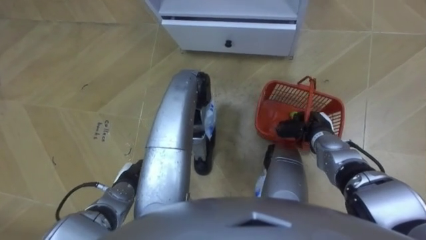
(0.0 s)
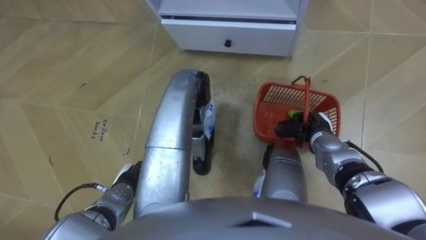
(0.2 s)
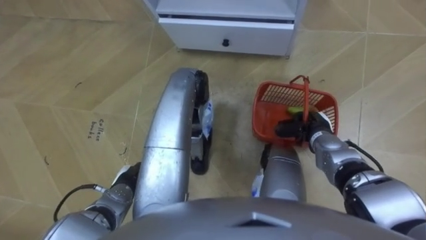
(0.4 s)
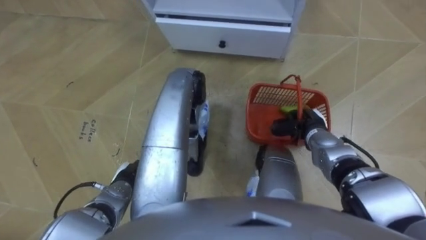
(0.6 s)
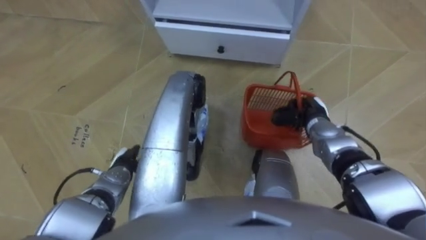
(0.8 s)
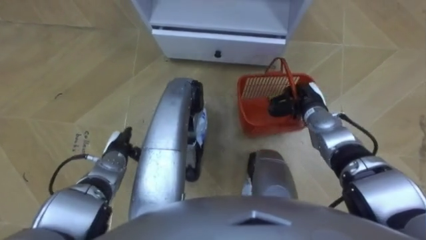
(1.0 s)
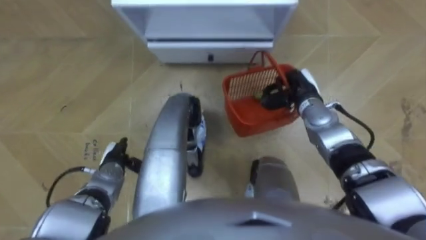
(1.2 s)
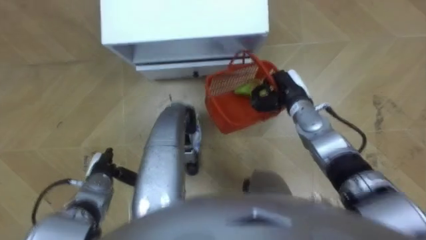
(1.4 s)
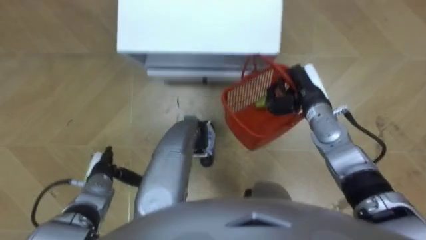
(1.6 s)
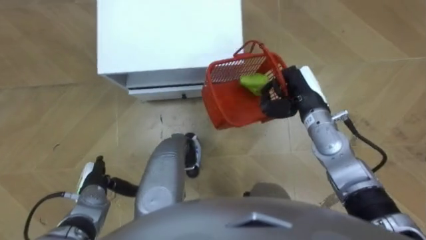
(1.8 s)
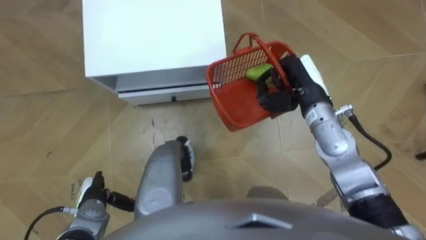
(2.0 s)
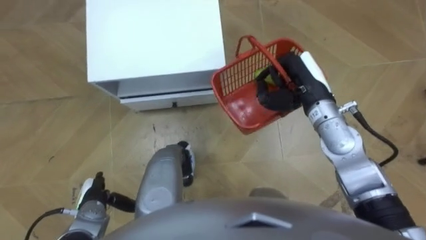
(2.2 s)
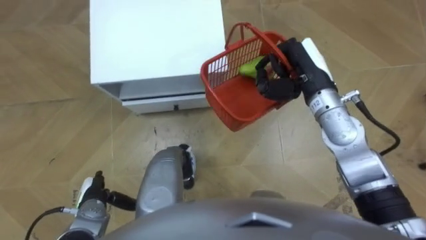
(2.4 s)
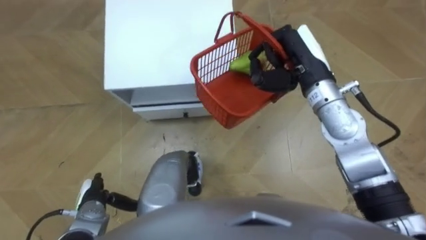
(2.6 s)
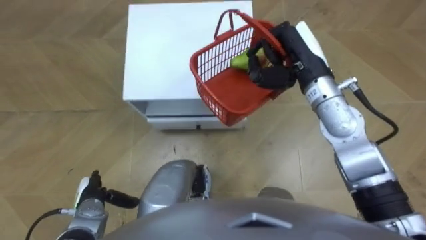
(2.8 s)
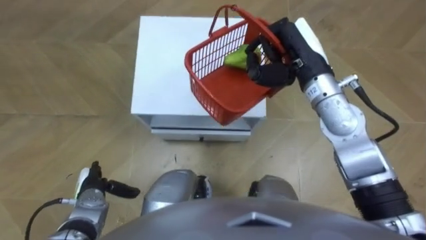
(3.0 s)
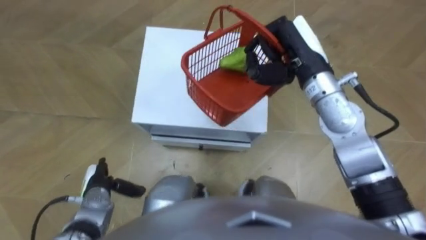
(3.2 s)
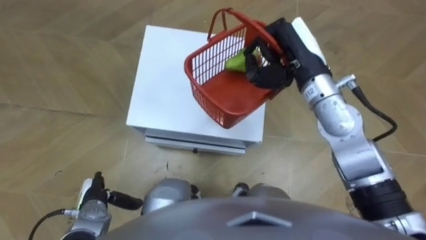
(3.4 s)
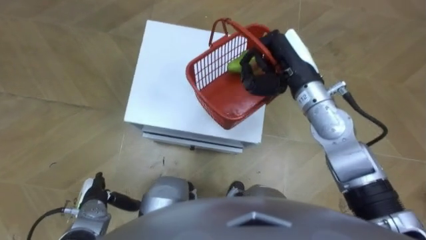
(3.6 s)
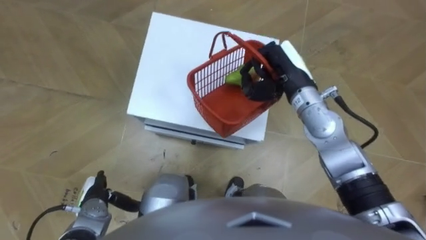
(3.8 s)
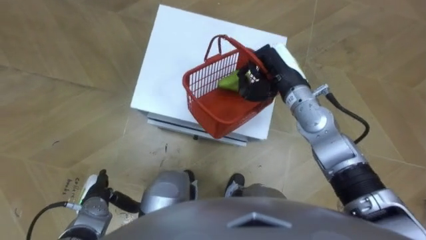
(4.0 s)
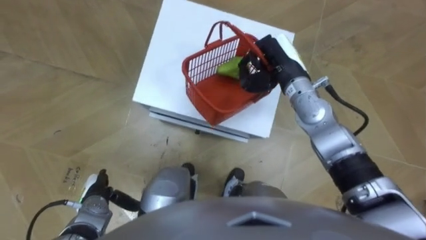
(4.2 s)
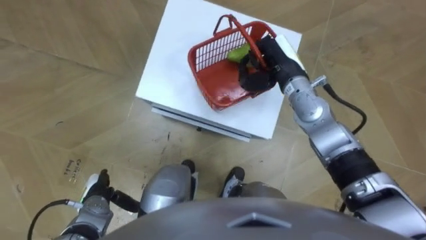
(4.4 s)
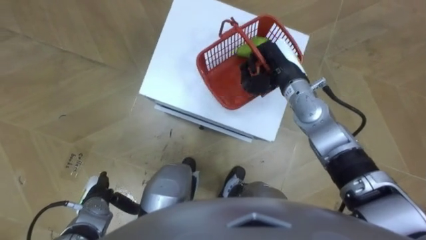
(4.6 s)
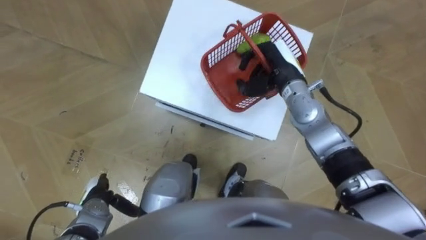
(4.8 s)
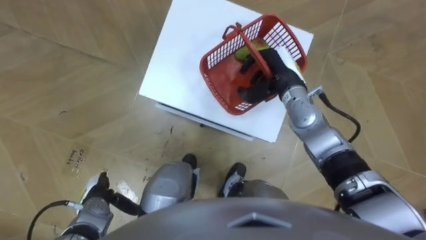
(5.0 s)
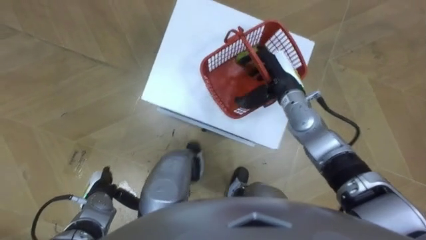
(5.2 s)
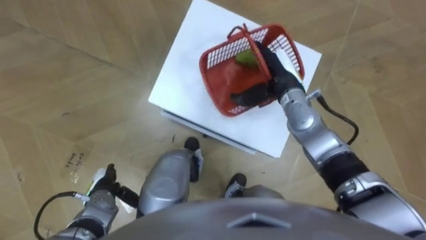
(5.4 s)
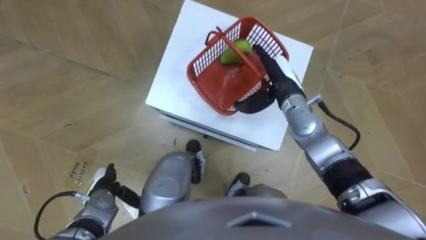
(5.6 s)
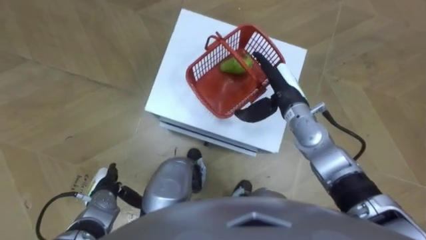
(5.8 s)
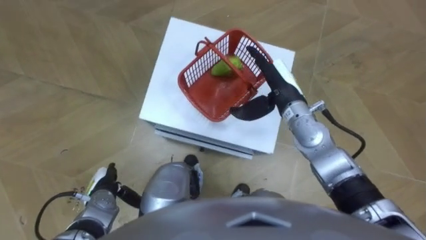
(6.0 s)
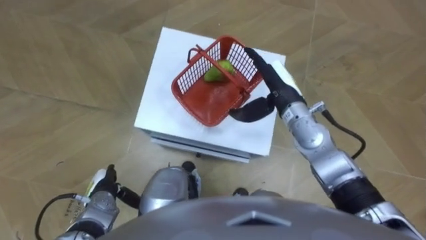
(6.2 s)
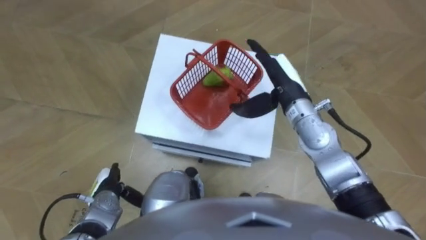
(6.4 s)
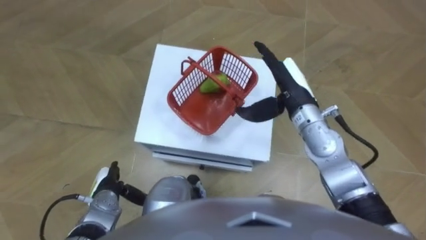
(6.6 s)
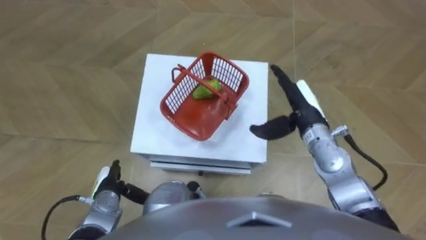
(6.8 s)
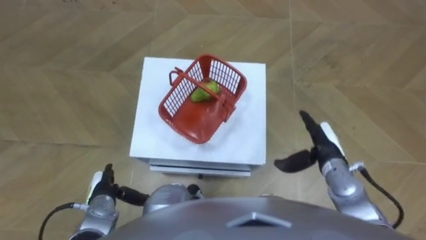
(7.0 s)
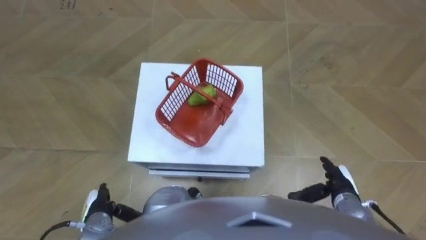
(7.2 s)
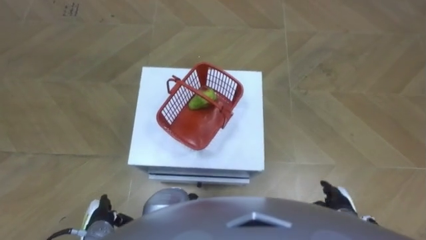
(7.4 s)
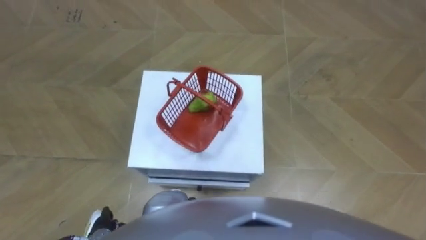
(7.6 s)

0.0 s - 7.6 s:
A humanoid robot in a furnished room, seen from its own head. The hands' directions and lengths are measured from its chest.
Task of the whole recording: Pick up the fruit basket from the floor and place it on the cabinet.
0.0 s - 1.6 s: The right hand shifts roughly 10 cm upward and forward; the left hand travels to the left by about 5 cm.
1.6 s - 3.0 s: The right hand heads upward, covering some 10 cm.
3.0 s - 4.6 s: The right hand heads downward, covering about 10 cm.
4.6 s - 6.0 s: The right hand opens up.
6.0 s - 7.6 s: The left hand shifts about 10 cm backward. The right hand is displaced backward, downward and to the right by about 35 cm.

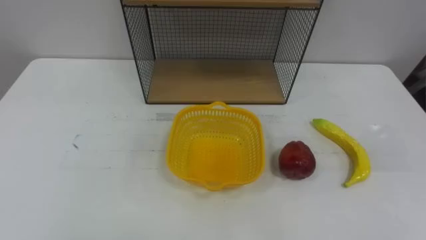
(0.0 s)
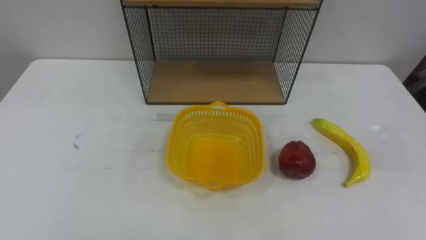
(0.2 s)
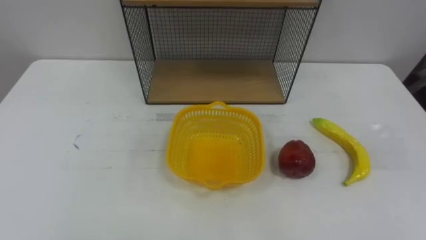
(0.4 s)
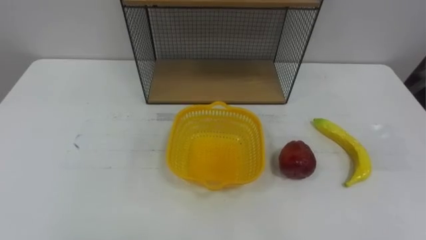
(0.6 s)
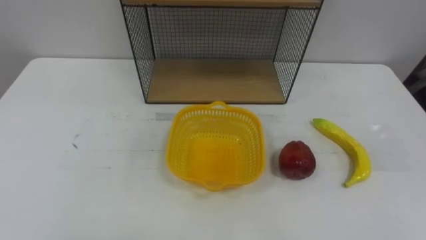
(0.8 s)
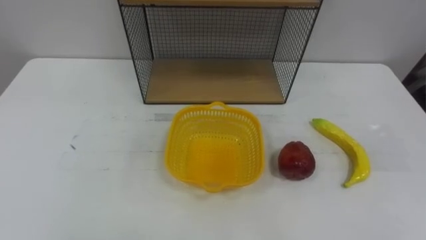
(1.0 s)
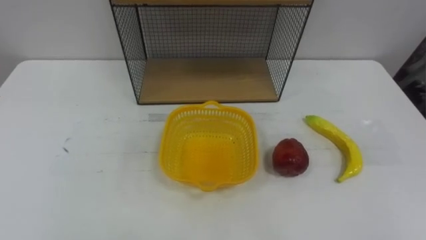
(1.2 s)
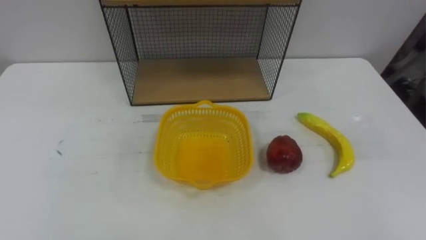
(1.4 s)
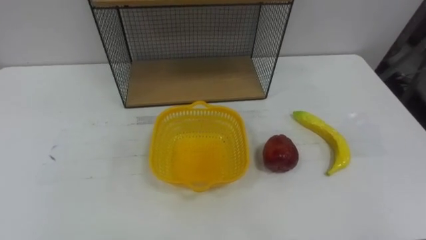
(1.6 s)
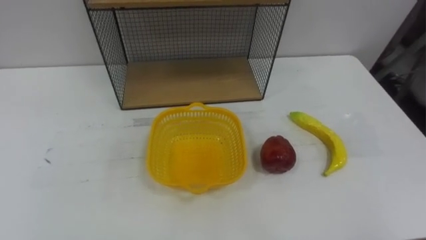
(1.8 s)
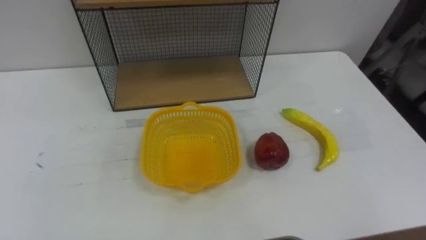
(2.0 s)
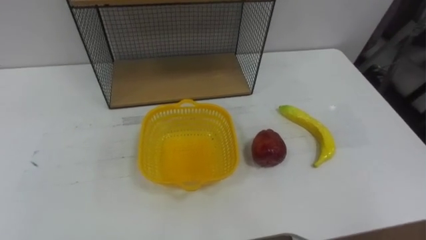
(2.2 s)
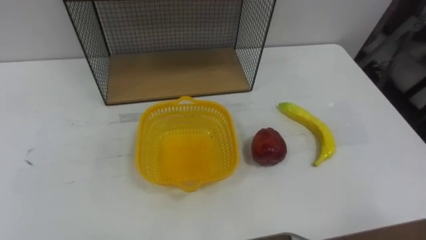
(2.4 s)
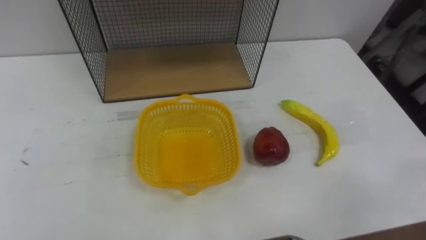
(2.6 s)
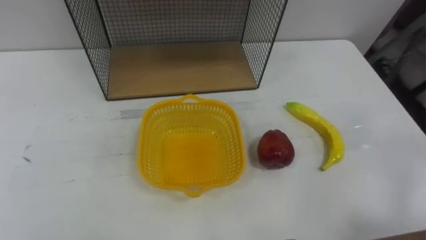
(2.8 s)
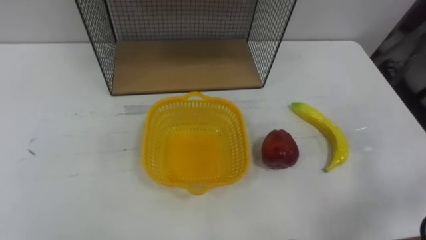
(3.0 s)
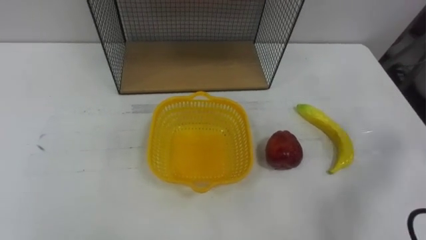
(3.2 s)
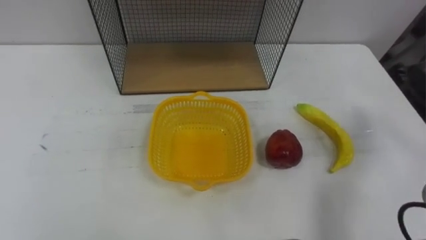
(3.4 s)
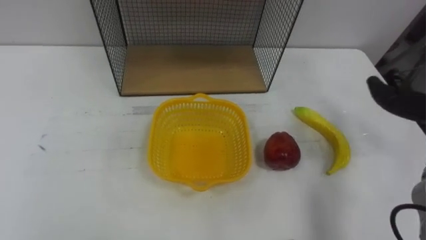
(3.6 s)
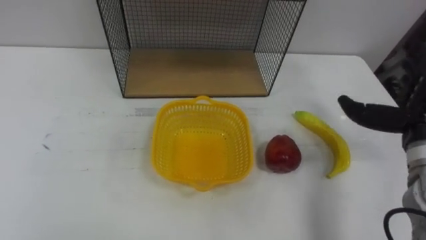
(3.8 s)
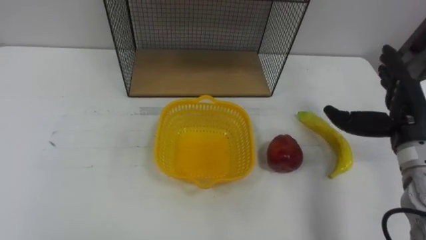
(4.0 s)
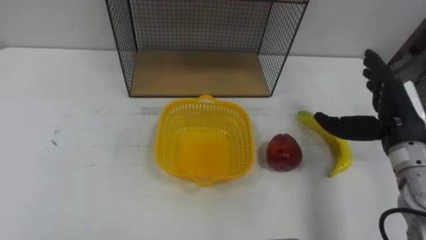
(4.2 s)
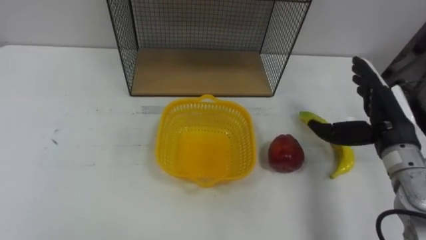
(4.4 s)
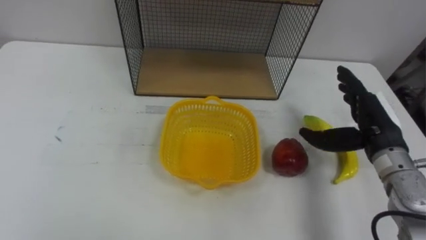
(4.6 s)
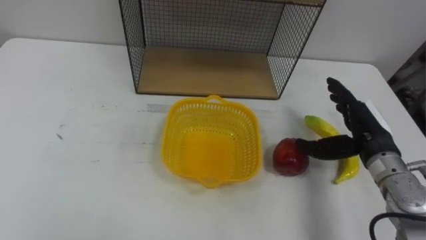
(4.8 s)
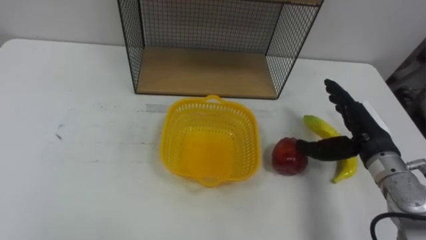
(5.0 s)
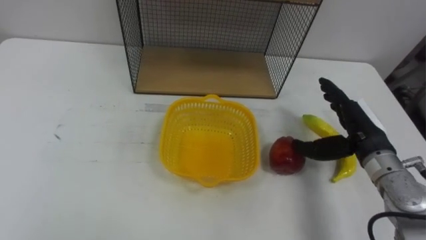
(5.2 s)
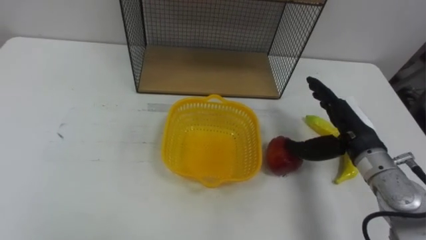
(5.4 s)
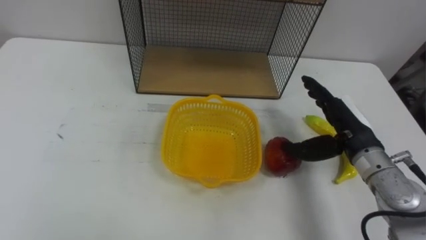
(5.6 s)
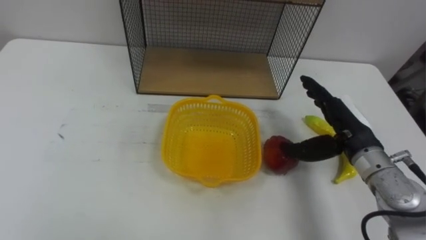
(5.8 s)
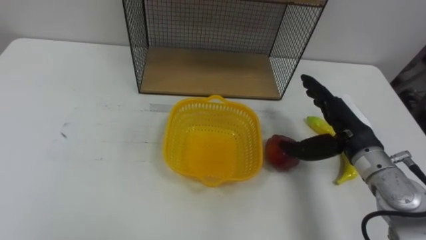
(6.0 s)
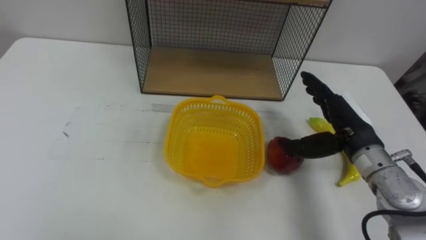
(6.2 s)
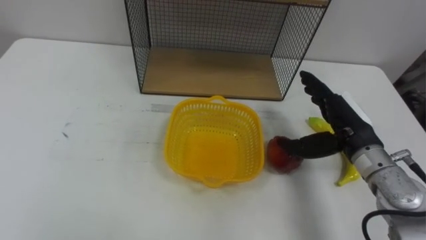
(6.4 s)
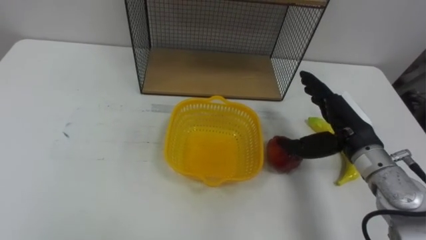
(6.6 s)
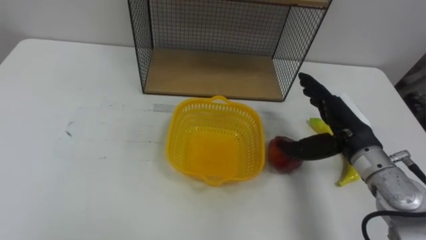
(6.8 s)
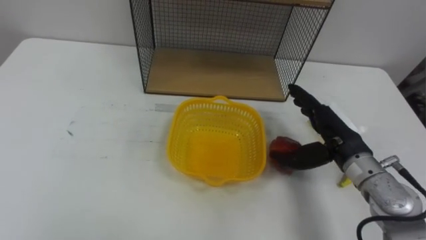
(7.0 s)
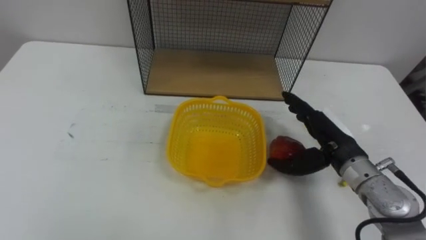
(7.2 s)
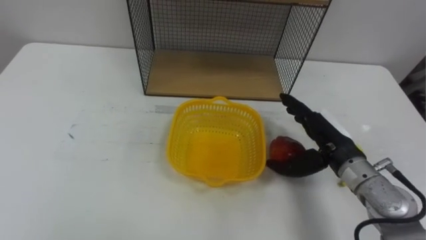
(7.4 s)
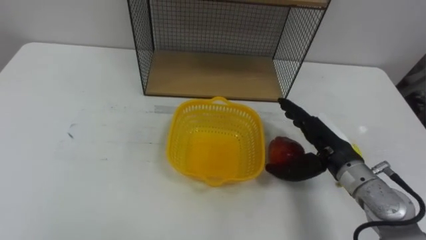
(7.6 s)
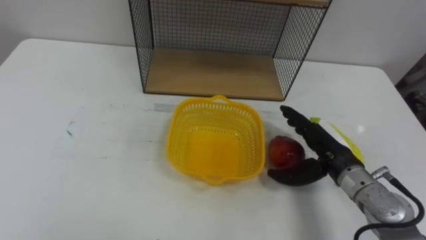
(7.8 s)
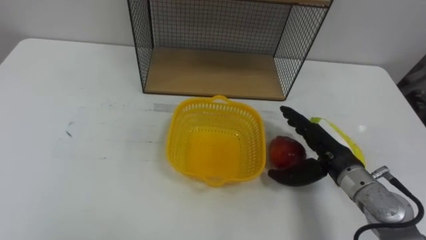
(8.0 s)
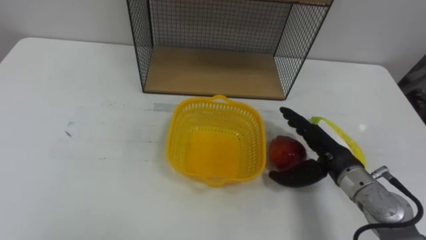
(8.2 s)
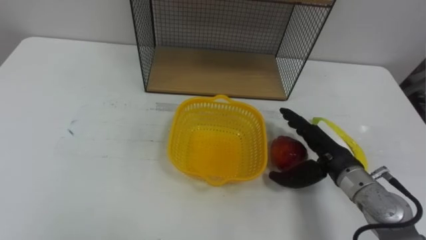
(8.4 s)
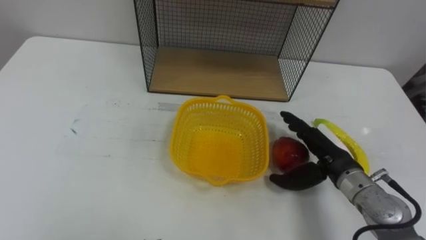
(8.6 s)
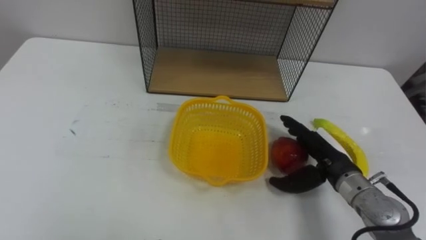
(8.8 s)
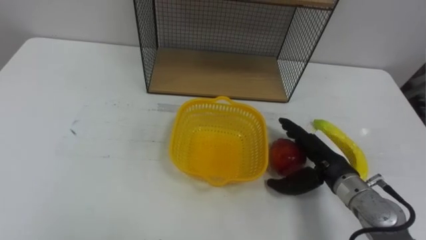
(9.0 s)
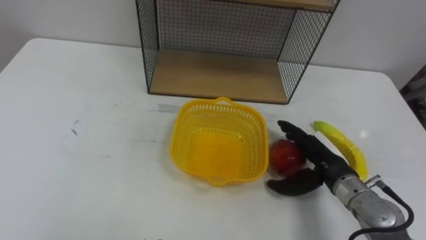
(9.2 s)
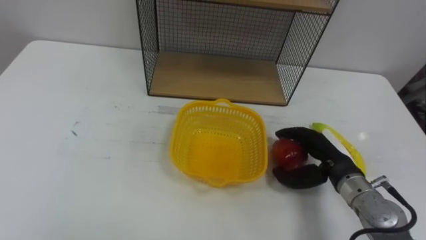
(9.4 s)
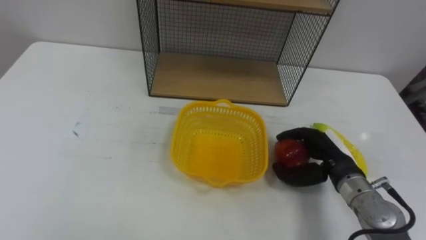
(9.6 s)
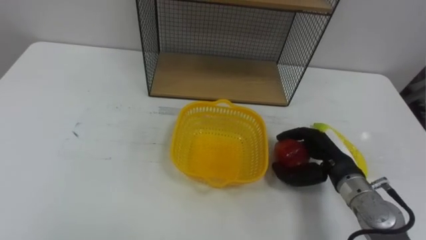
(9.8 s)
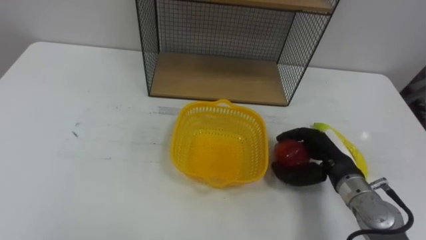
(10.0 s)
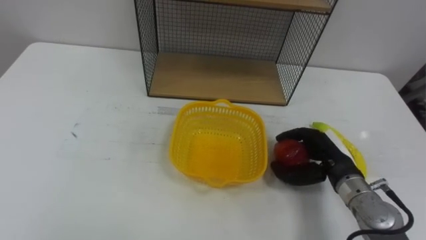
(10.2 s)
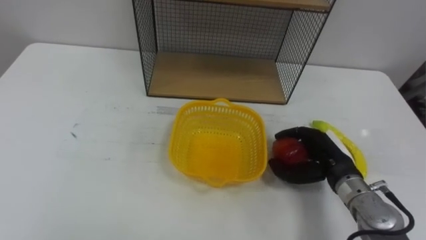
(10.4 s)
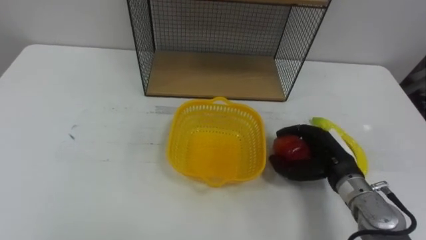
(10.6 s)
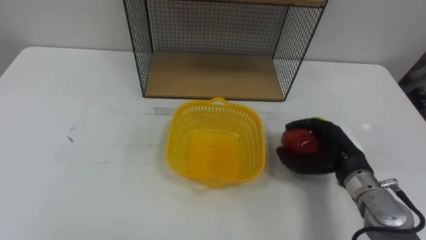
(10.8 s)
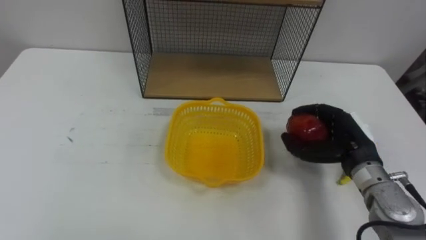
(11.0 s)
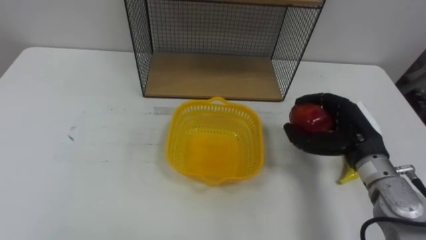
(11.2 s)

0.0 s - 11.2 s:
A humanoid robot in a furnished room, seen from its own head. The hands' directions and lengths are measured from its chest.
Task of the whole recording: Put the fruit on the table into the basket, then place the basket on the shelf.
6.4 s - 8.0 s: The right hand travels downward by some 5 cm.
8.0 s - 9.6 s: The right hand closes.
9.6 s - 11.2 s: The right hand shifts approximately 5 cm upward.
